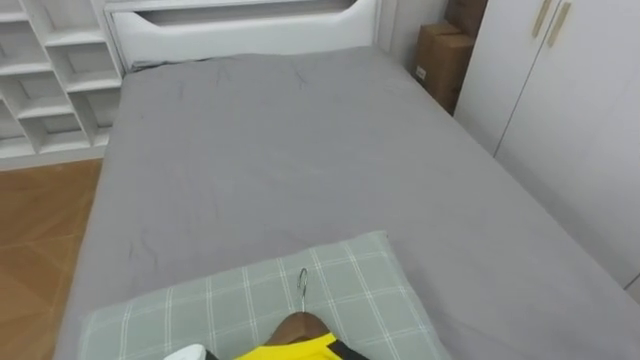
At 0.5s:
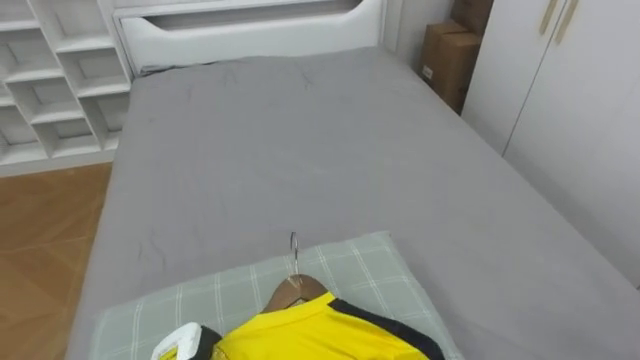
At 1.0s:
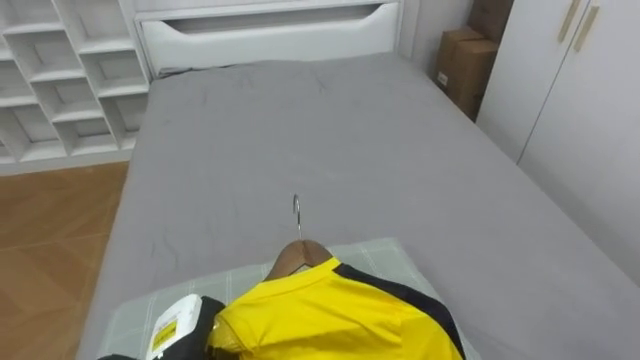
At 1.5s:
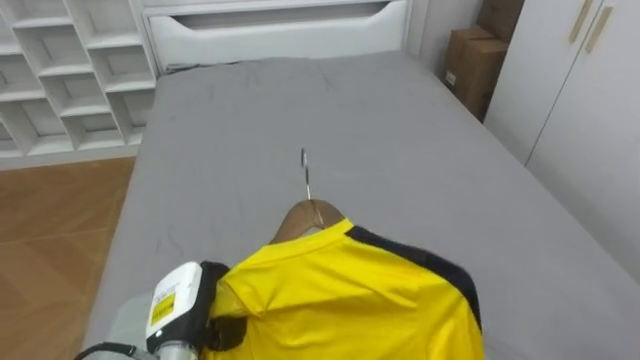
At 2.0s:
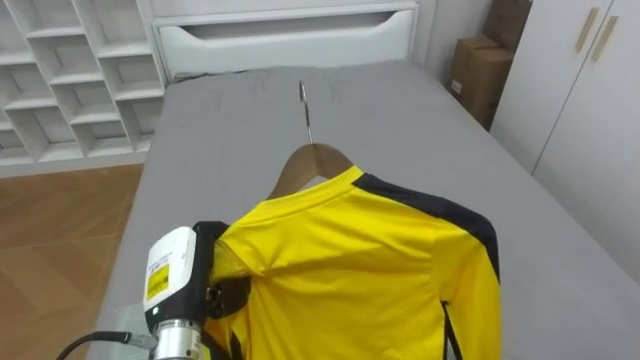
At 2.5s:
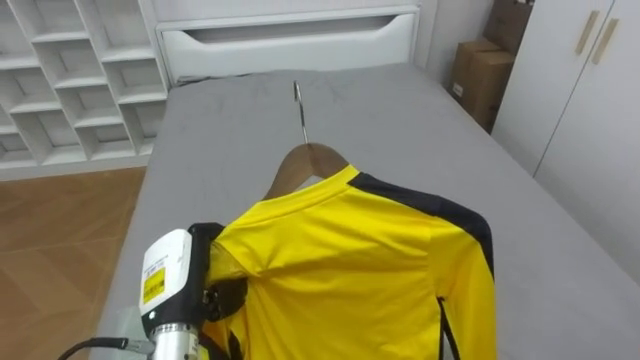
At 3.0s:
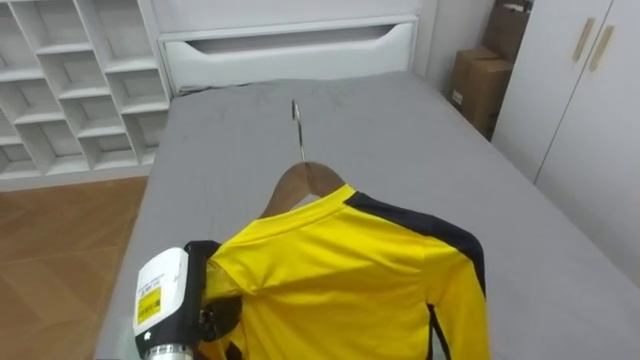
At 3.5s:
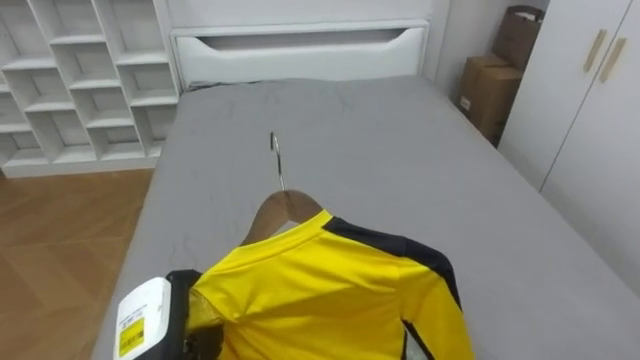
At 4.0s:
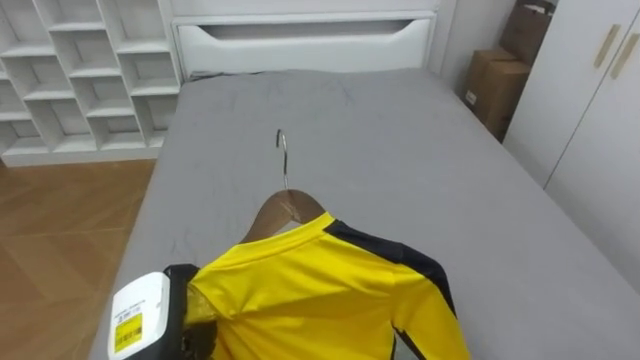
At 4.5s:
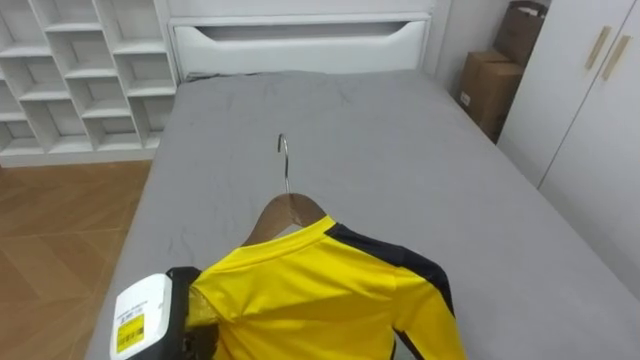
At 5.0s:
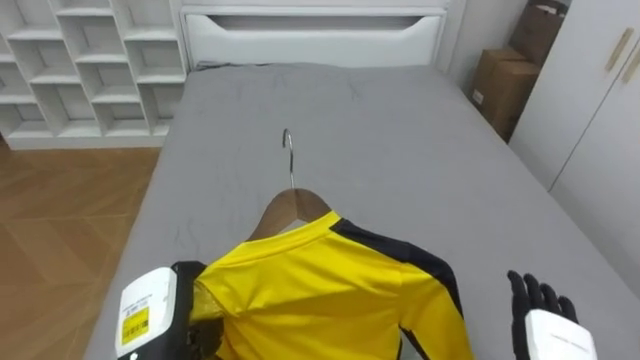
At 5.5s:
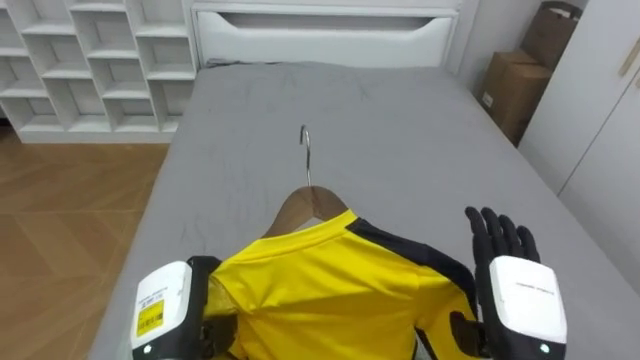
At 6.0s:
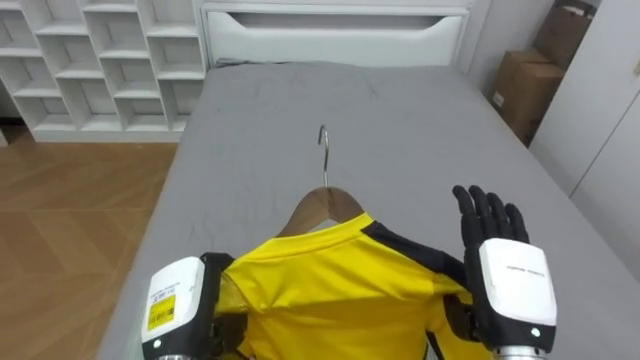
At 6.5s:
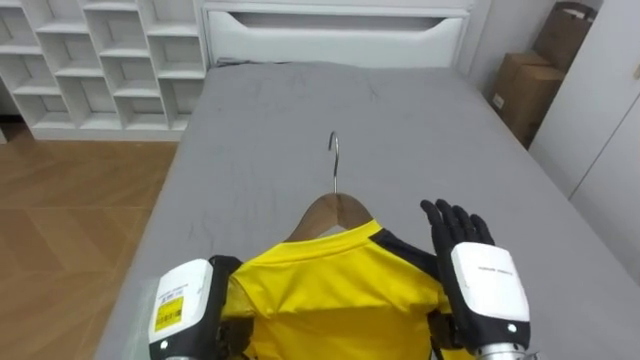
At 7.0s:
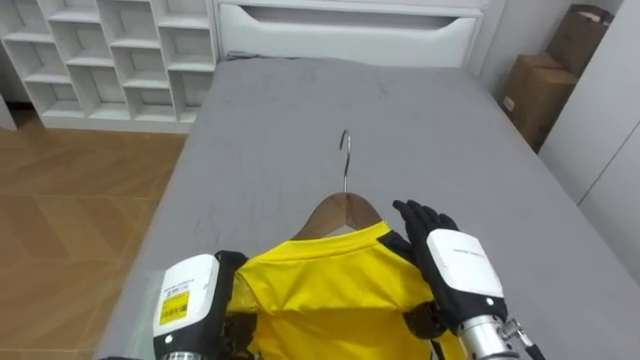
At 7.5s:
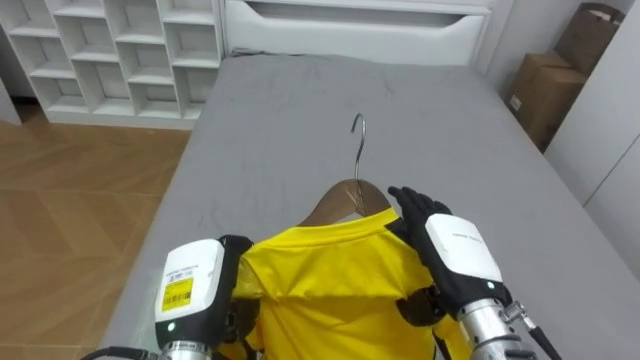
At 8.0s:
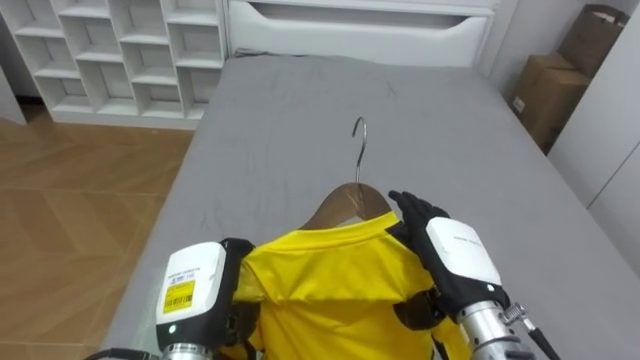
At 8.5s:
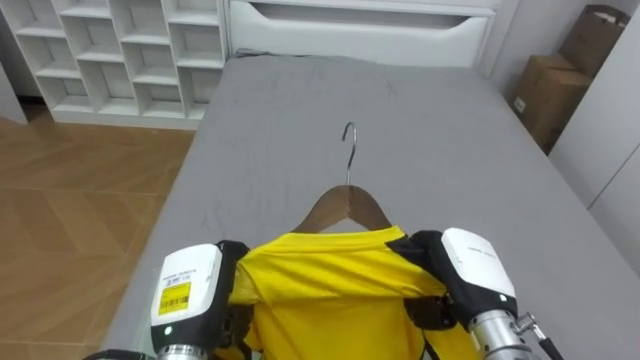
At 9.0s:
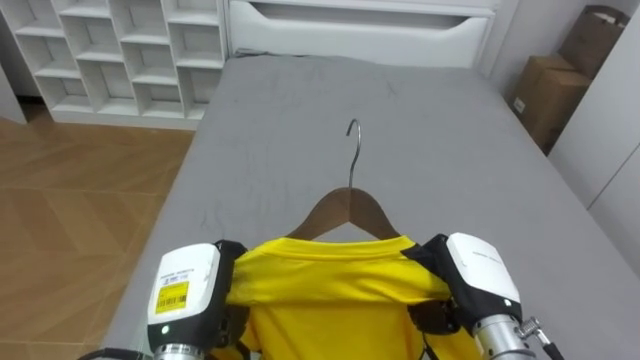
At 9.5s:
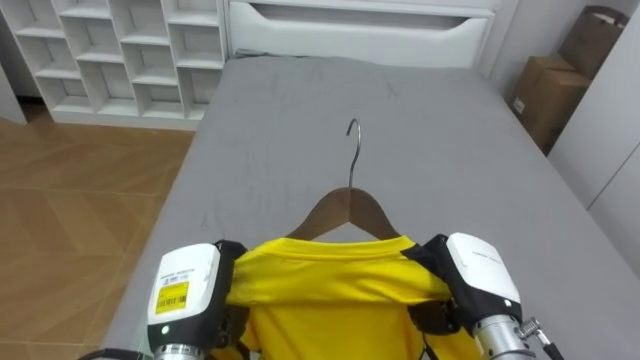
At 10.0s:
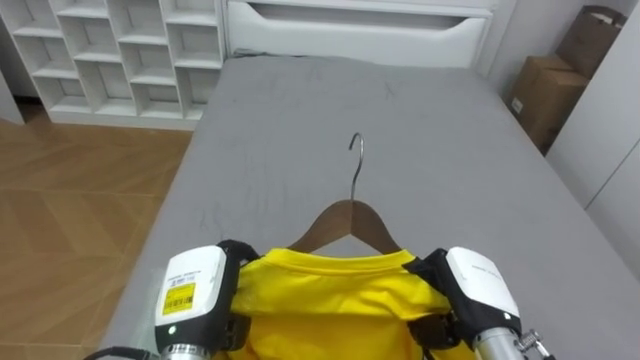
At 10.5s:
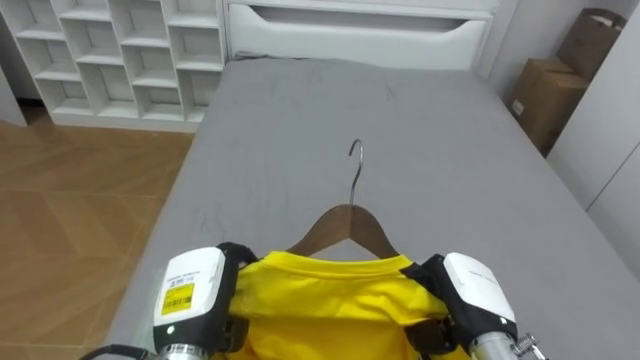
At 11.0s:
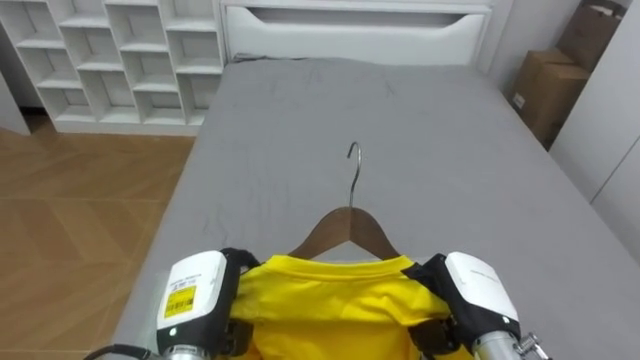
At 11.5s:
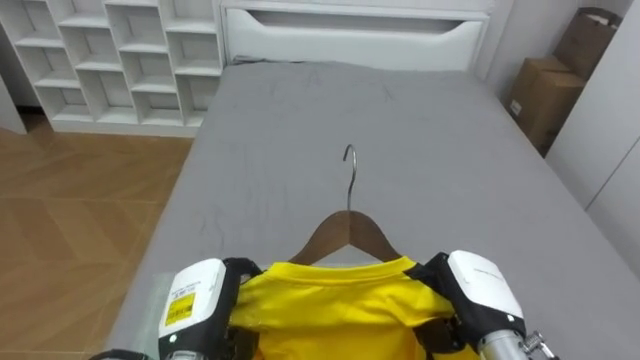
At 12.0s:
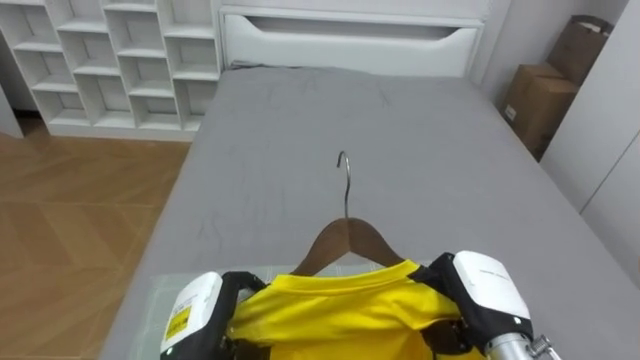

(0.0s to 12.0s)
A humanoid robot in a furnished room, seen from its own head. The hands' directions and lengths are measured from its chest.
Task of the whole recording: Pick up the yellow shirt on the bed and hang it on the clothes rack on the right.
2.0s - 4.0s: The left hand ends up about 5 cm from where it was.
6.0s - 8.0s: The right hand ends up approximately 5 cm from where it was.
8.0s - 10.0s: The right hand closes.

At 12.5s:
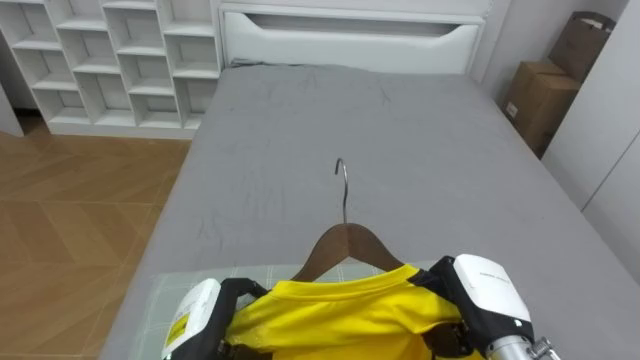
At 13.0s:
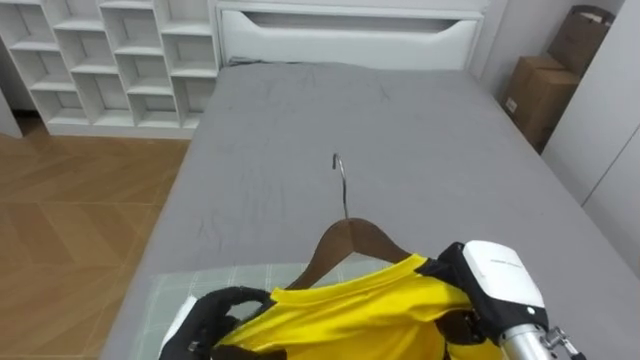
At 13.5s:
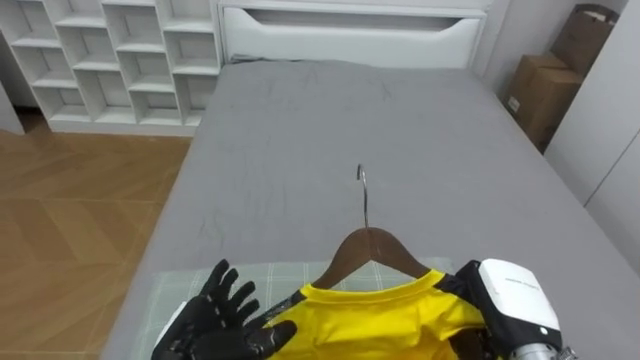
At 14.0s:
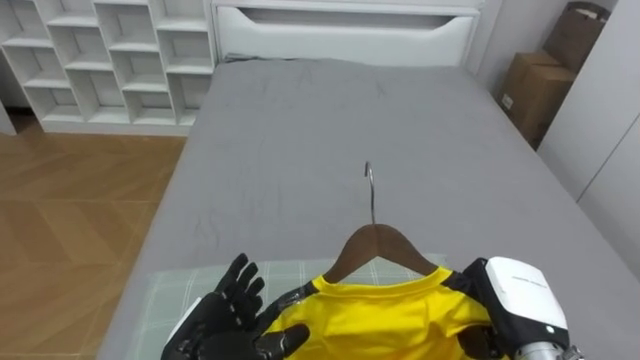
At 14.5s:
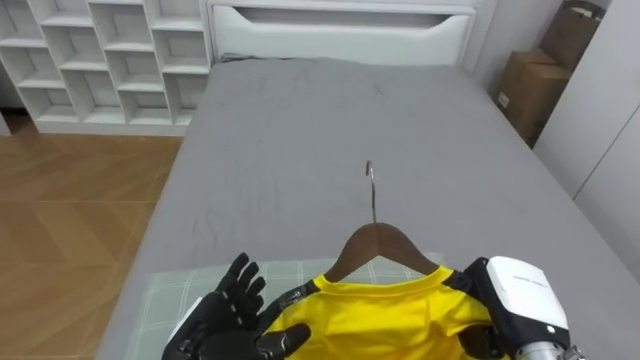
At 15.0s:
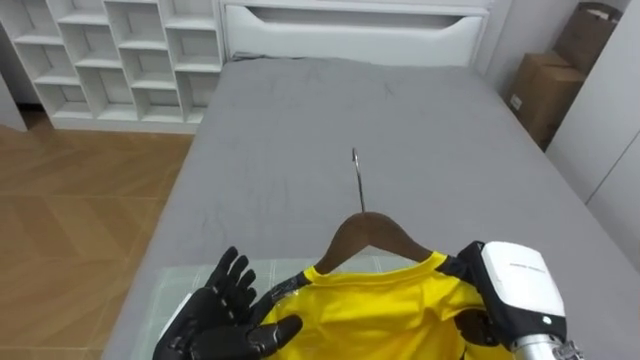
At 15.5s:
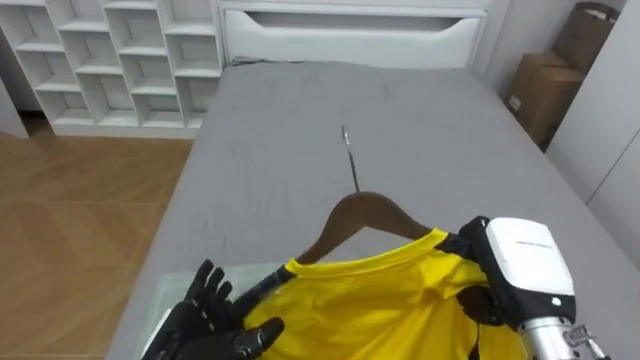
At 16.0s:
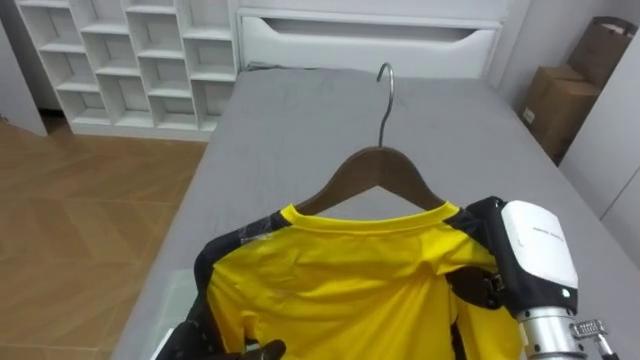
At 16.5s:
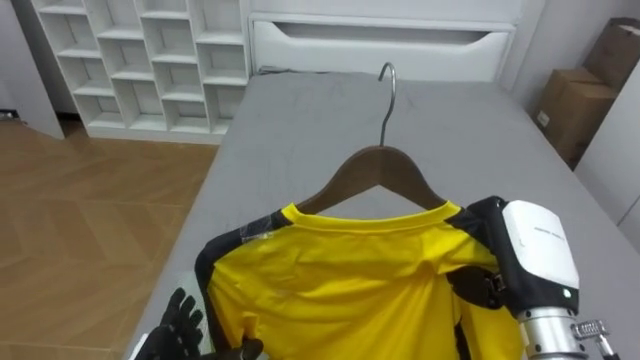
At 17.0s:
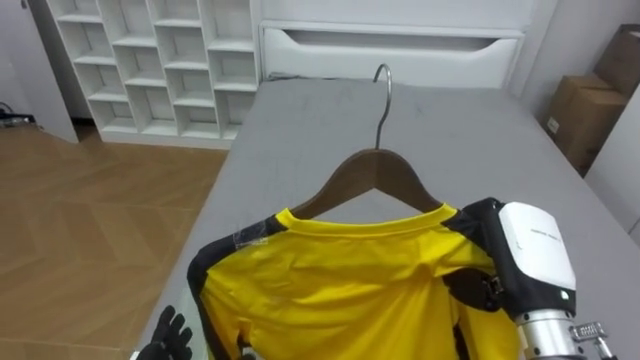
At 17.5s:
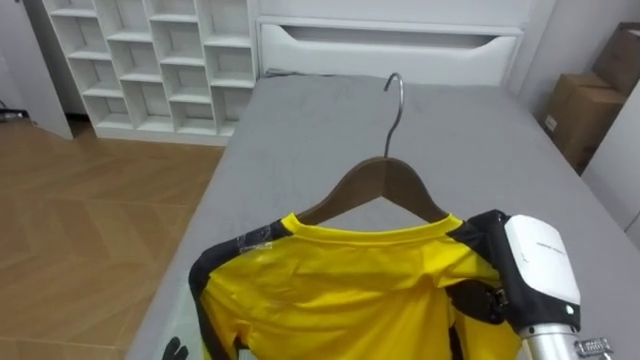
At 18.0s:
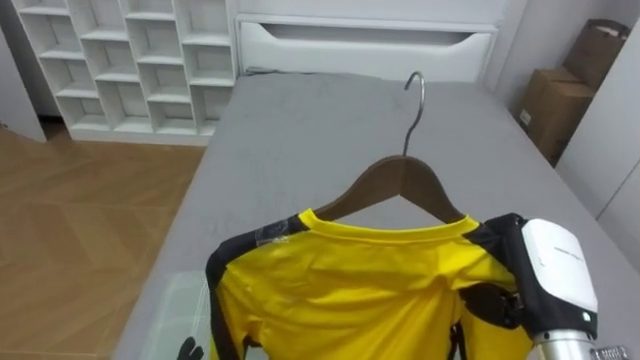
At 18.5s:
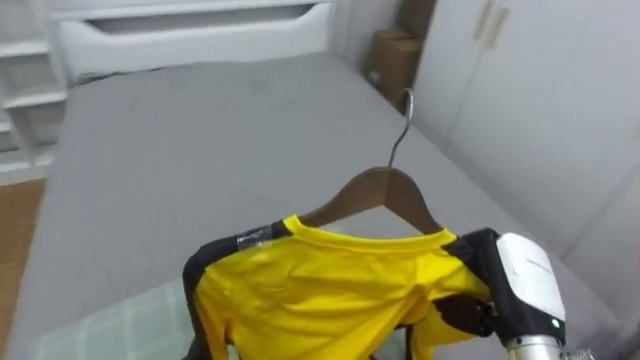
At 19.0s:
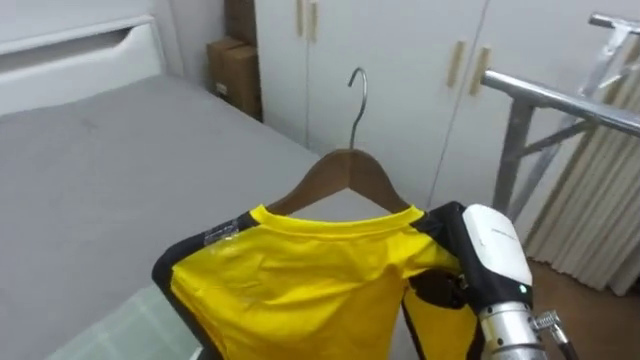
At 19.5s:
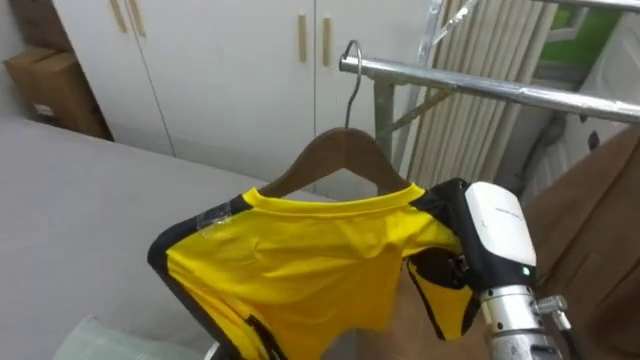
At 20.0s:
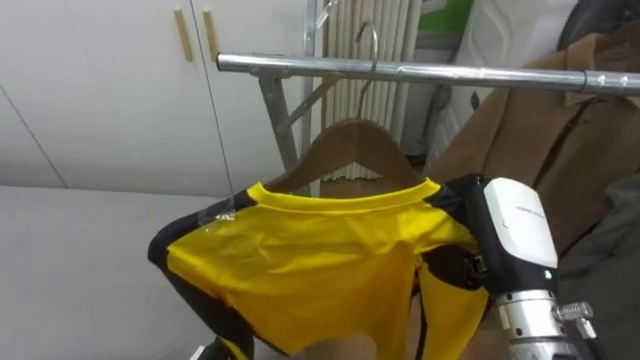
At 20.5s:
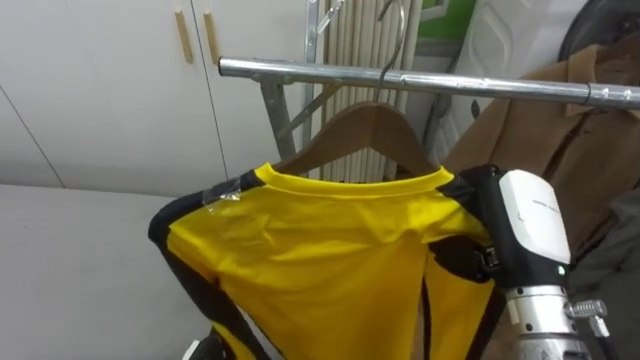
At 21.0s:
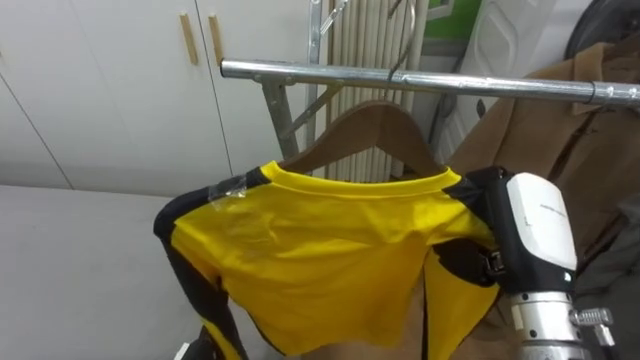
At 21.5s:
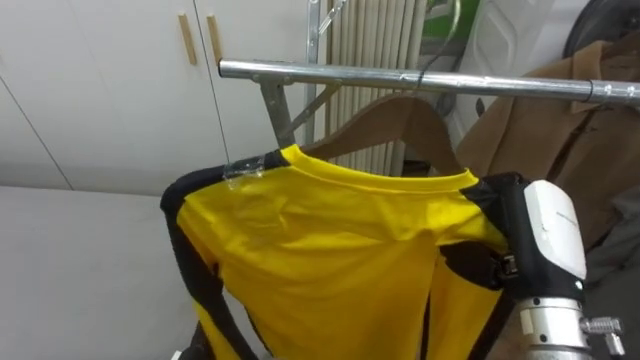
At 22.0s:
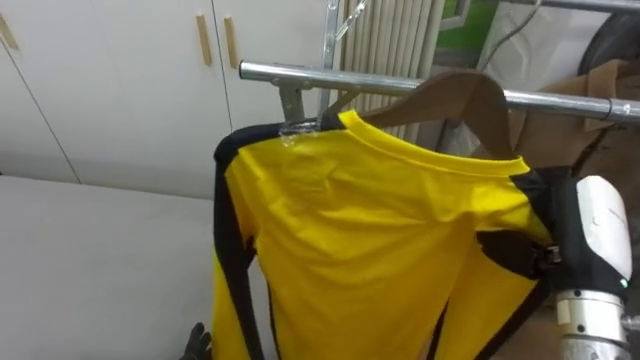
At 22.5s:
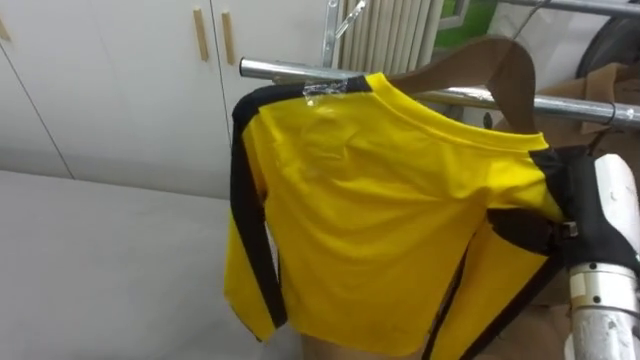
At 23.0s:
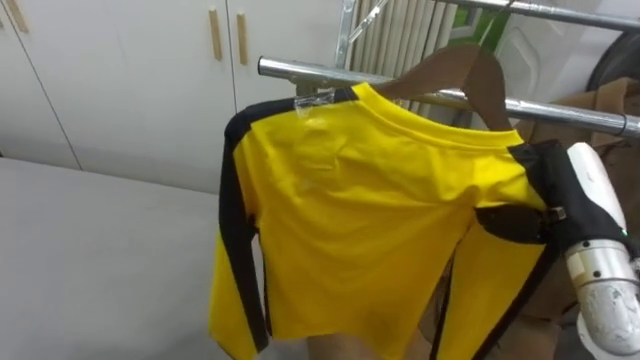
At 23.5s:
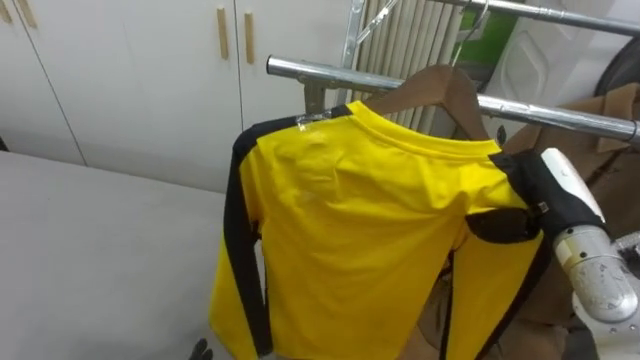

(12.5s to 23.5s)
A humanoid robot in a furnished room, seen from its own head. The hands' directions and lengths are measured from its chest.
Task of the whole recording: Pick up the yellow shirt on the bed and hang it on the clothes rack on the right.
12.5s - 14.5s: The left hand opens.
14.5s - 16.0s: The right hand shifts approximately 10 cm upward.
18.0s - 20.0s: The robot's body swings about 85 degrees to its right. The right hand shifts by roughly 5 cm.
21.5s - 23.5s: The right hand heads forward, covering roughly 5 cm.
